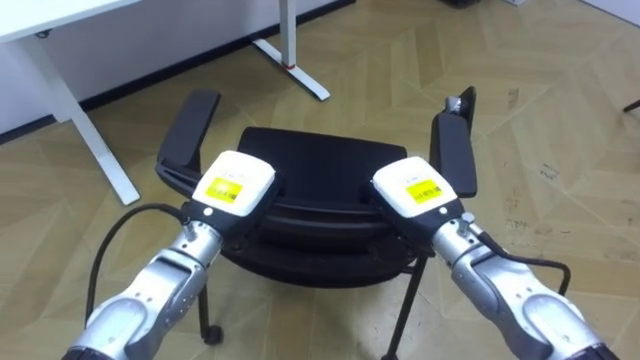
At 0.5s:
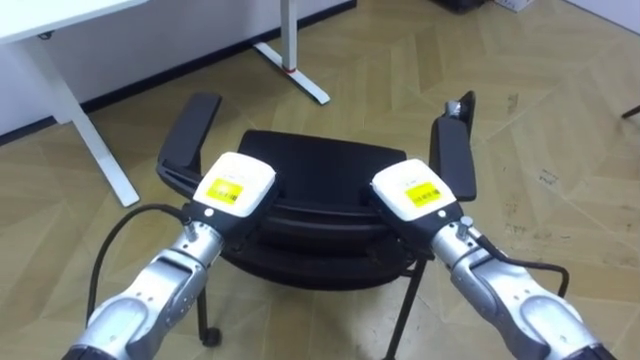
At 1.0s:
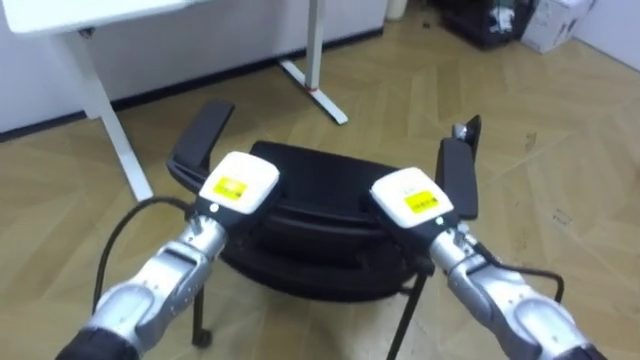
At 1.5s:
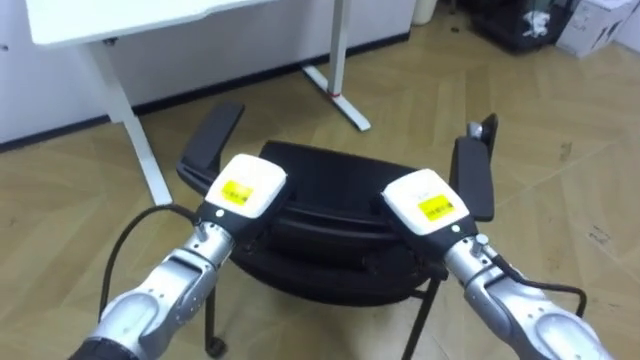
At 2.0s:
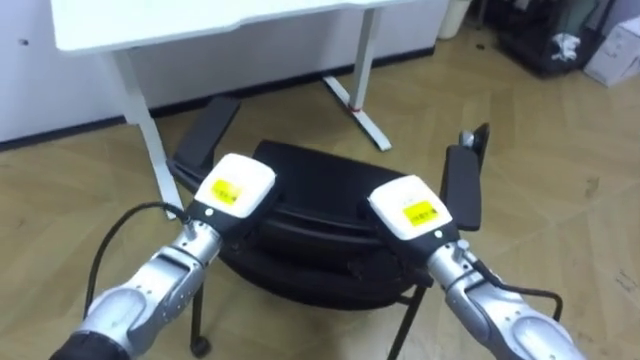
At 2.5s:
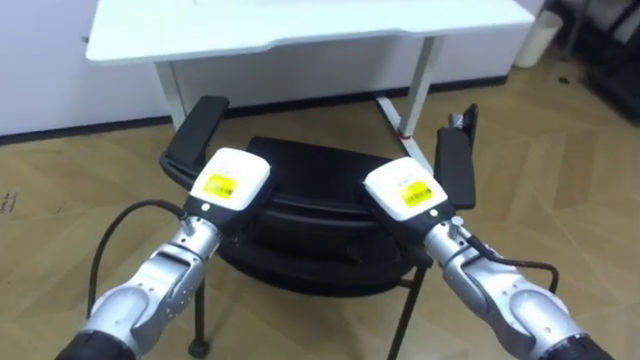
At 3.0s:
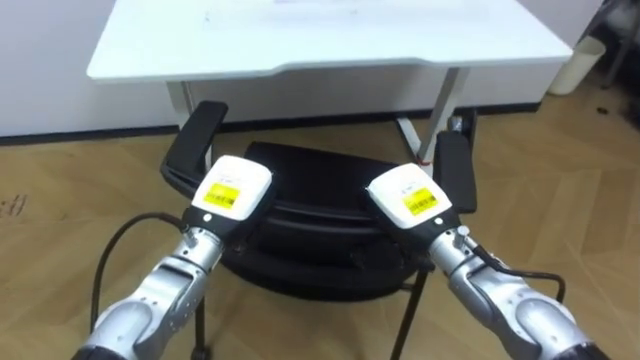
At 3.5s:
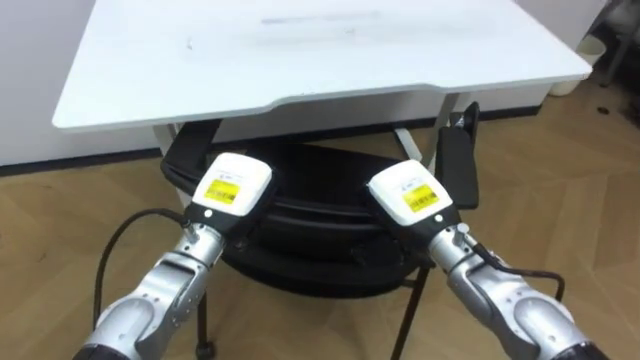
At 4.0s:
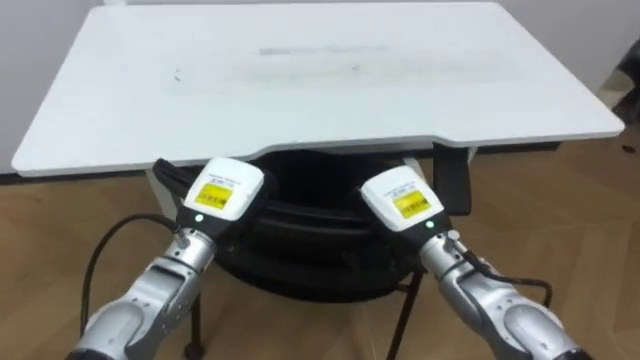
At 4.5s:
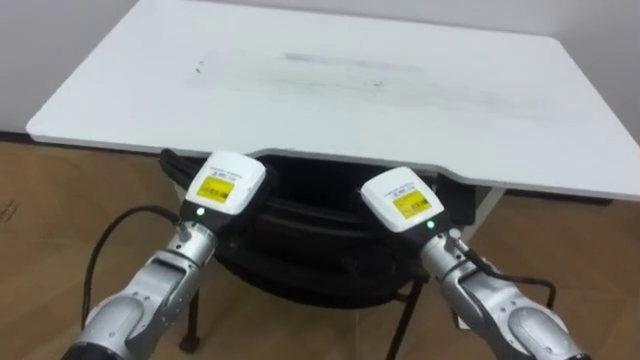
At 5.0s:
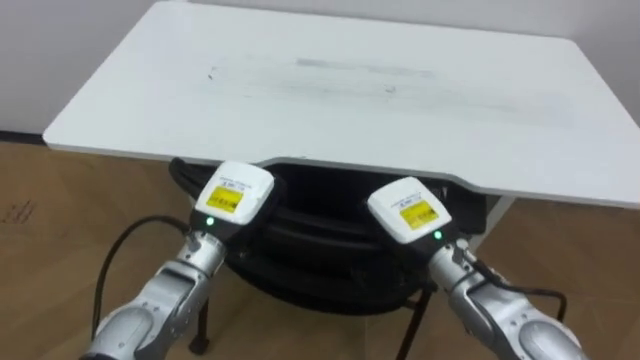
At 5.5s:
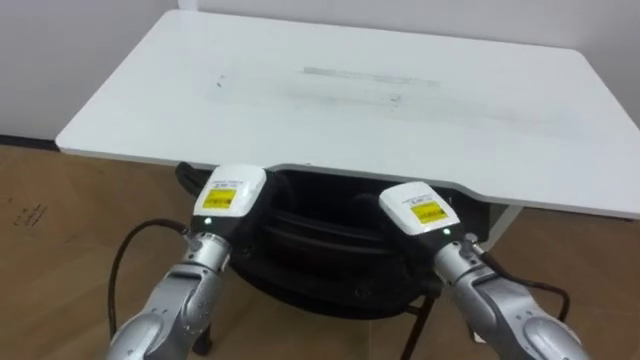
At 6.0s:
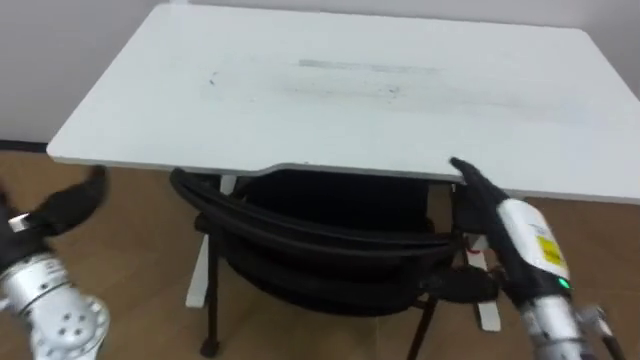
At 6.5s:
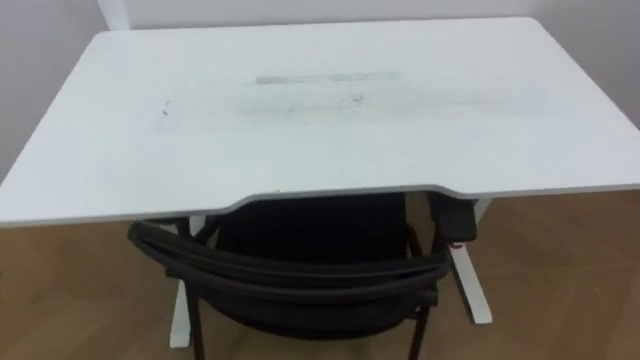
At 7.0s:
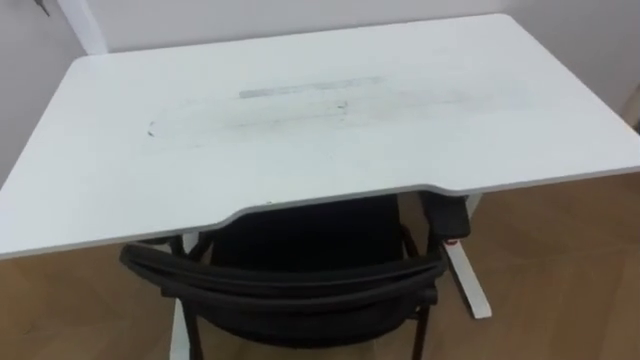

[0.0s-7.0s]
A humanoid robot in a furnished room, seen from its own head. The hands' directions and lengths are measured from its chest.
Task of the whole recording: Push the chair under the table.
3.5s to 5.0s: The robot faces roughly 20 degrees further to its left.
